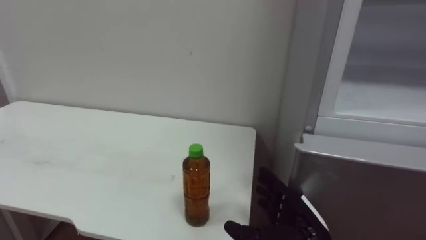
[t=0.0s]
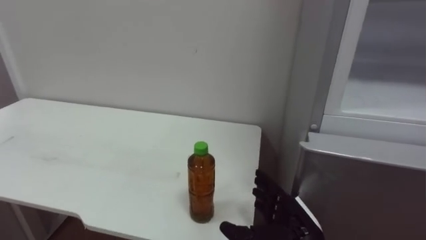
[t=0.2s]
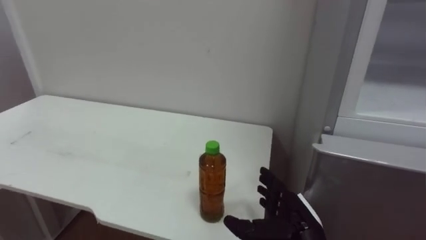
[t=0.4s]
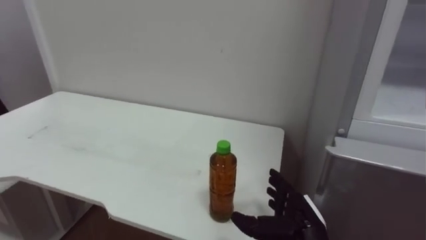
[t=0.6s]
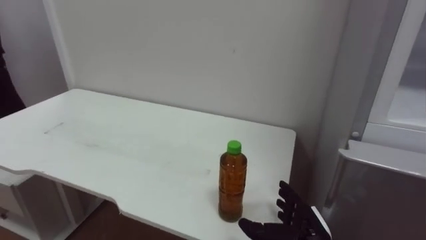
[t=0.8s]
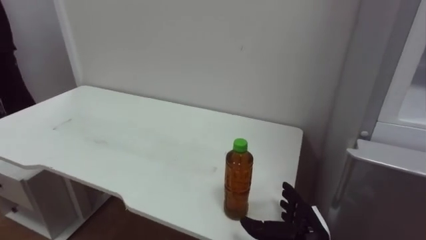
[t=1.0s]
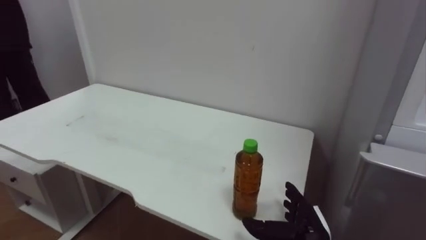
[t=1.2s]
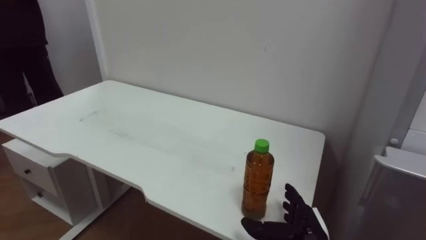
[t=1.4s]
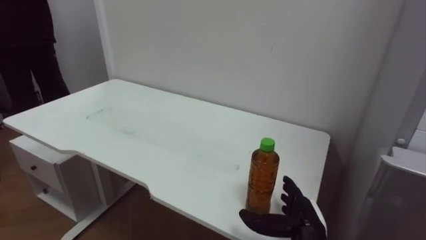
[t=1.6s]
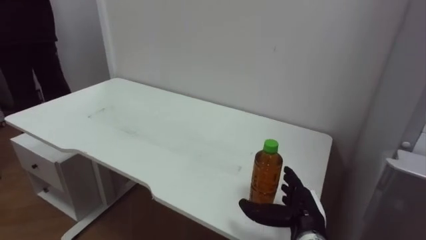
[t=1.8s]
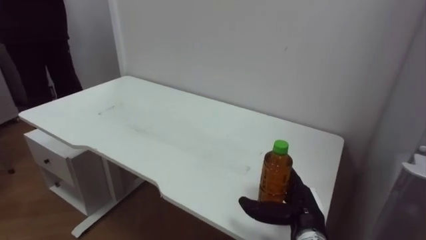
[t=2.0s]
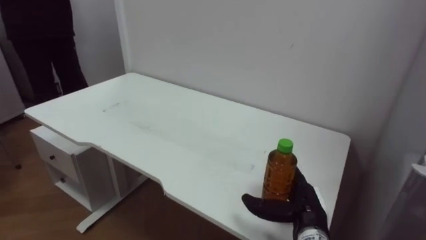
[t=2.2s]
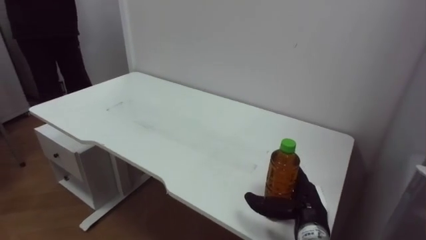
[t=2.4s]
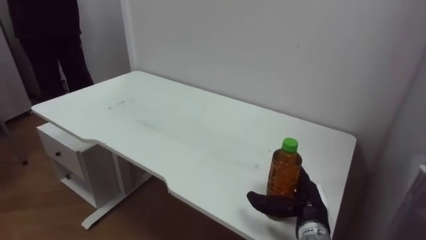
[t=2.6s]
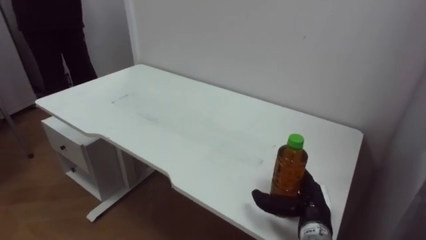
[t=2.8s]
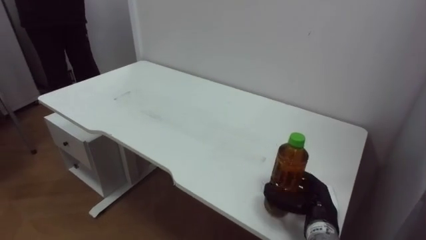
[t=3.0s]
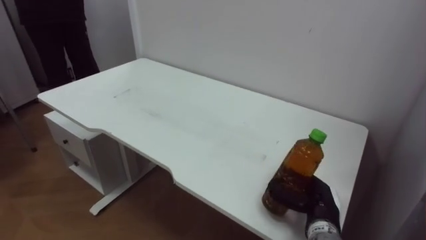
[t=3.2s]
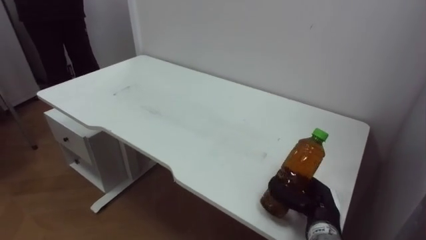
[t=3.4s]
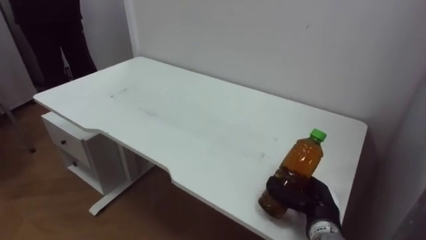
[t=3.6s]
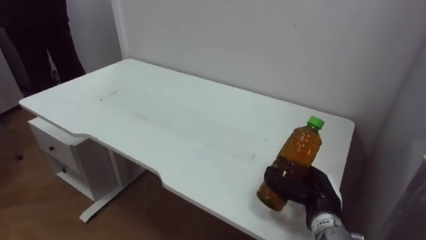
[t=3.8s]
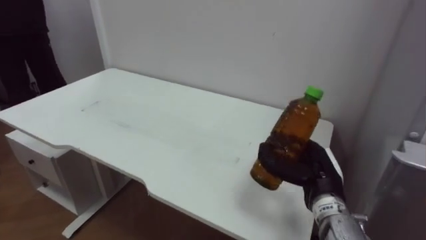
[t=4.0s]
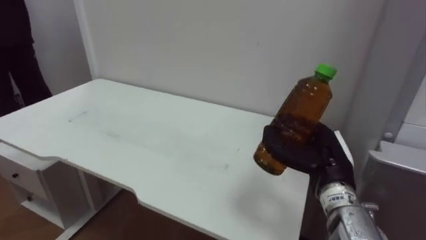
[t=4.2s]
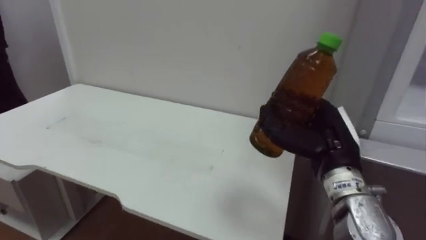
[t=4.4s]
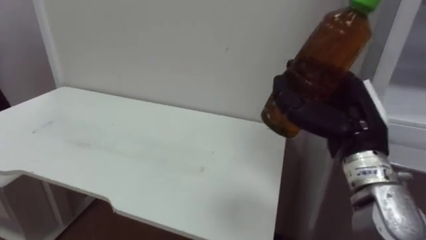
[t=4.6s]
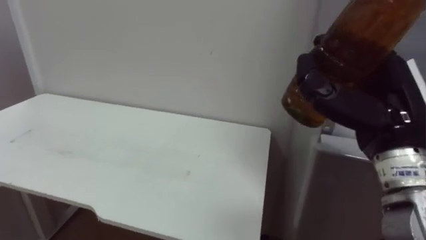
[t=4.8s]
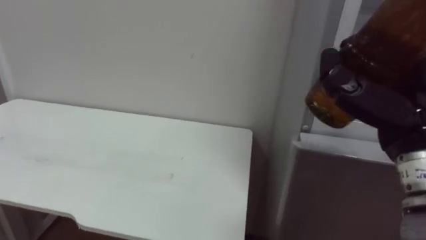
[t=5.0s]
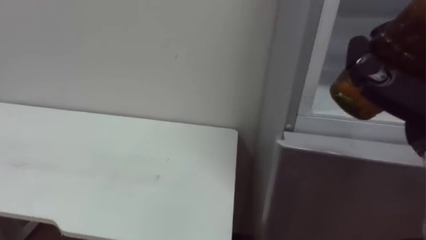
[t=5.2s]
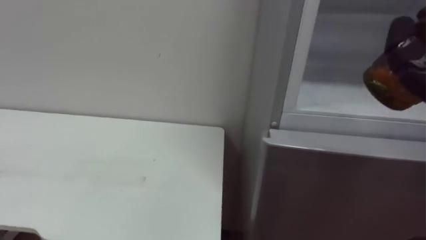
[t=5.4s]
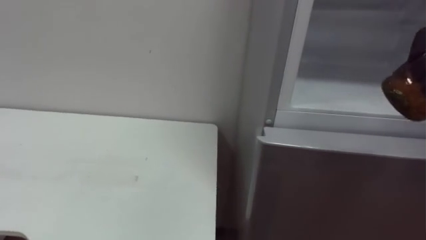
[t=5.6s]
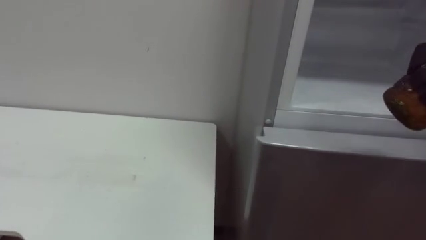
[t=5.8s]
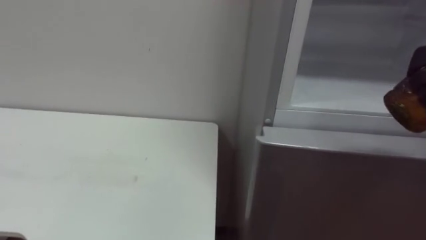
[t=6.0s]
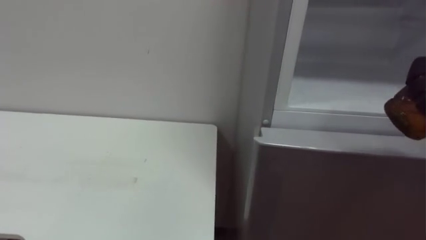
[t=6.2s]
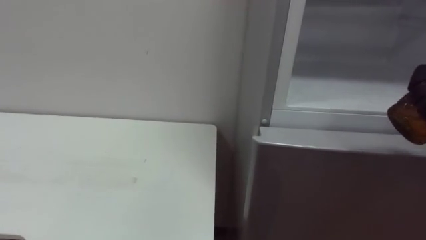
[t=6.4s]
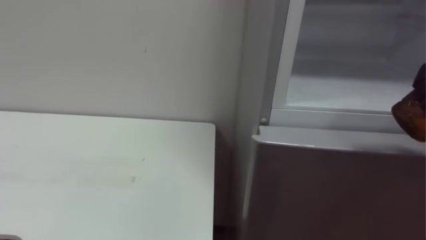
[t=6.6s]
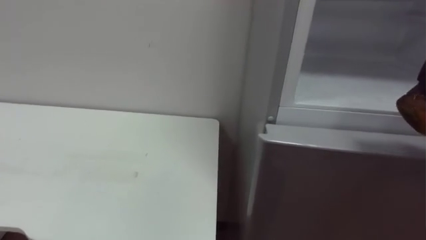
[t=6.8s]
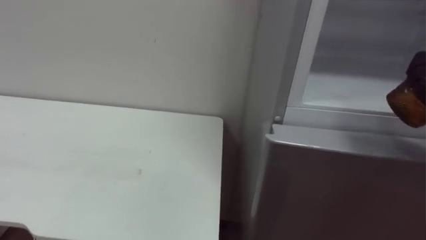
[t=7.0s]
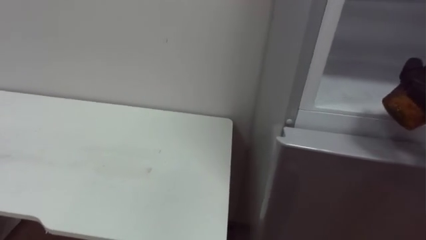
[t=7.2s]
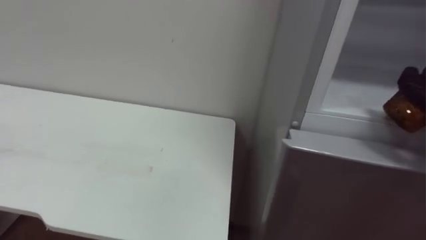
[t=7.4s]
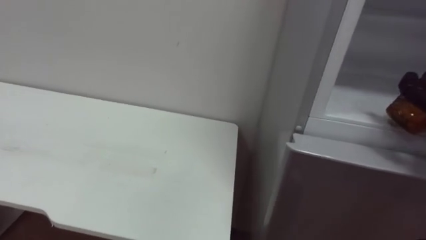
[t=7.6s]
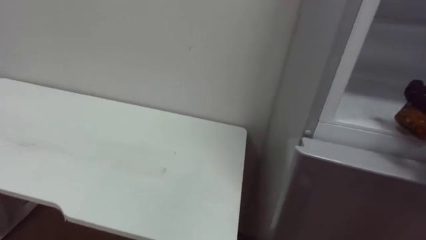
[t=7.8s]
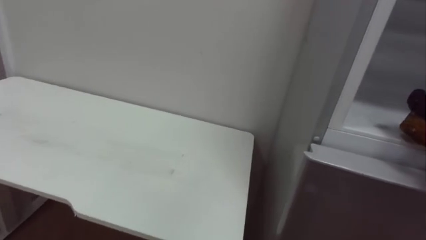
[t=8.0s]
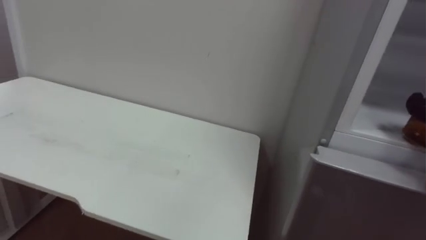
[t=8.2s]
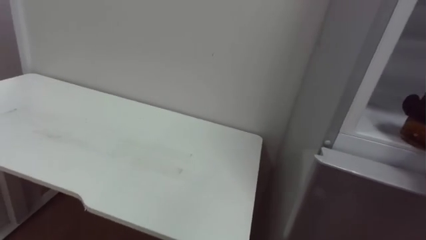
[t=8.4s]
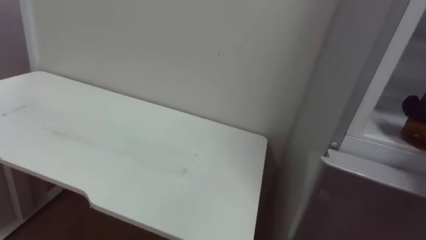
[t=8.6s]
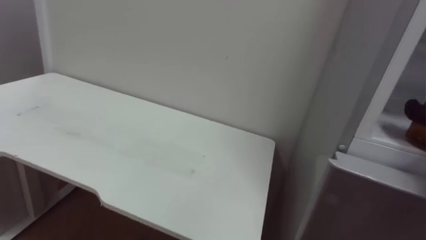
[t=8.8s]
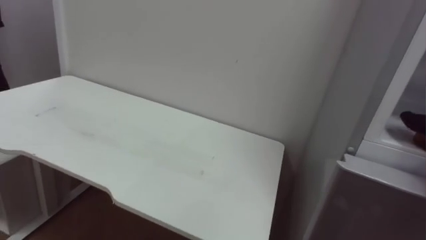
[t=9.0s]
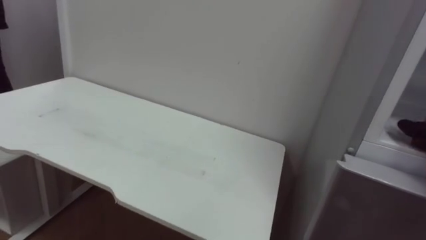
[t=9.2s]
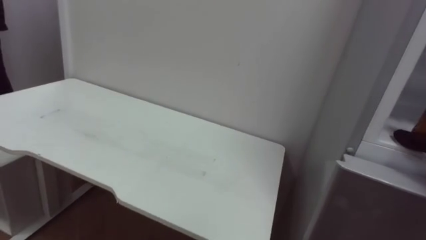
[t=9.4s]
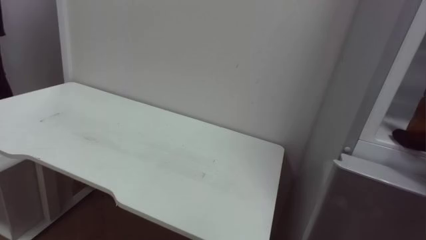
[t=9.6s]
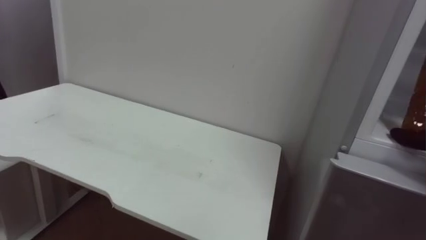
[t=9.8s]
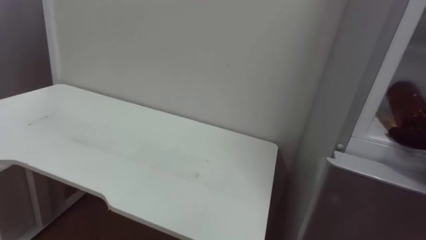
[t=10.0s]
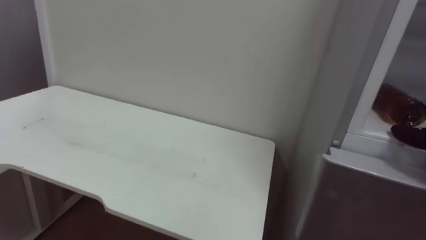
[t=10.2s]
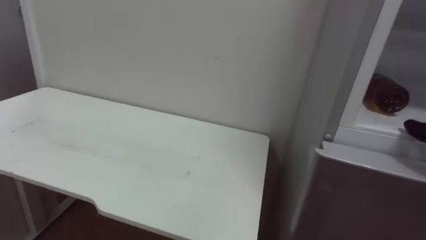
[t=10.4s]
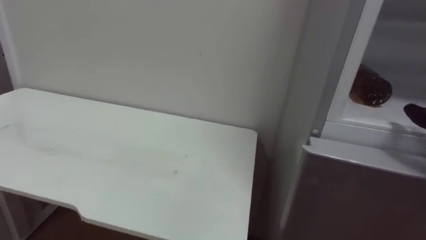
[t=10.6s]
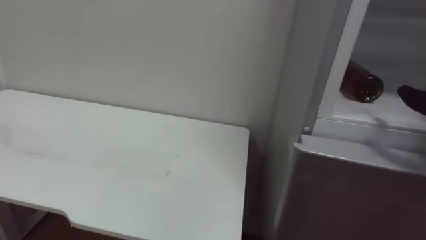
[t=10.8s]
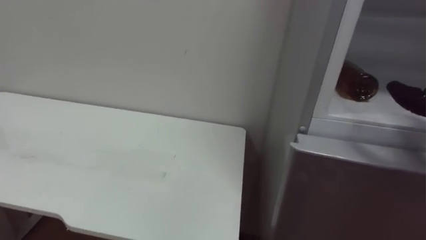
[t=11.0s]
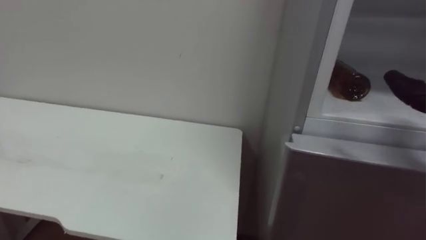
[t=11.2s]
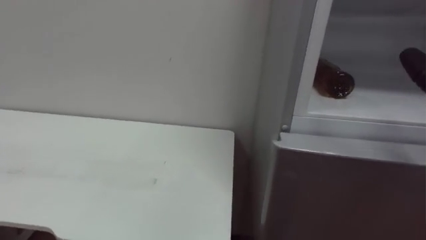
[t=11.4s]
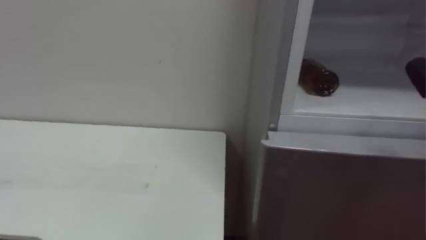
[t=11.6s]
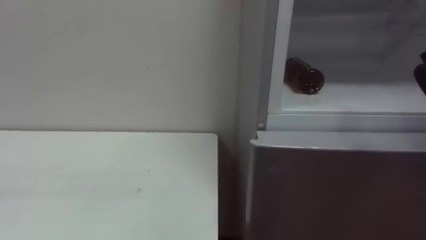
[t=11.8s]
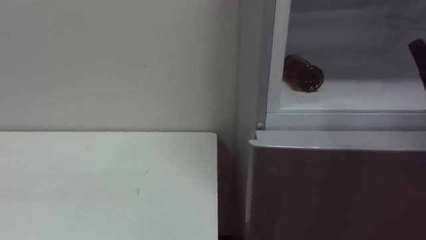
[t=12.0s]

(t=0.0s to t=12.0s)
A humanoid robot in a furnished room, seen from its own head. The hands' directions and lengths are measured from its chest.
Task of the whole recording: Open the upper refrigerator door, put the drink from the table into the refrigerator, and then close the refrigerator door.
t=0.0s - t=1.6s: The right hand moves downward, about 5 cm.
t=3.0s - t=4.4s: The right hand shifts some 15 cm upward.

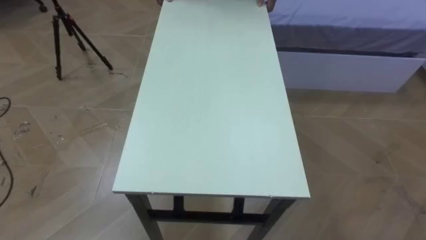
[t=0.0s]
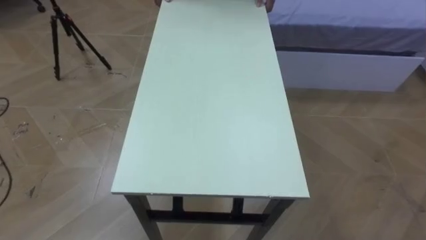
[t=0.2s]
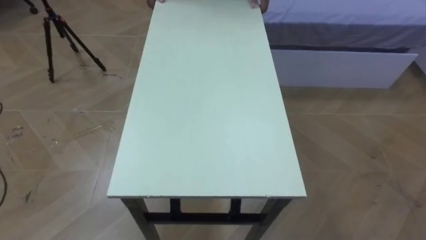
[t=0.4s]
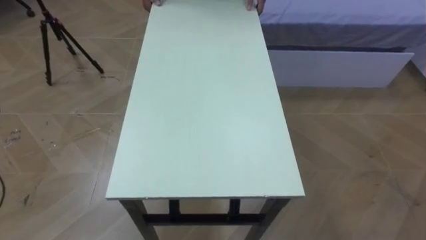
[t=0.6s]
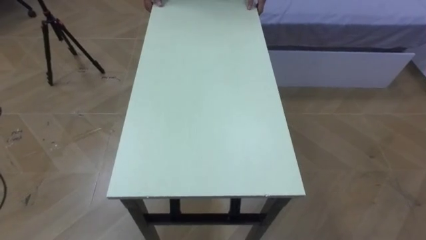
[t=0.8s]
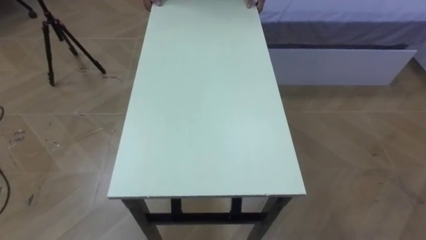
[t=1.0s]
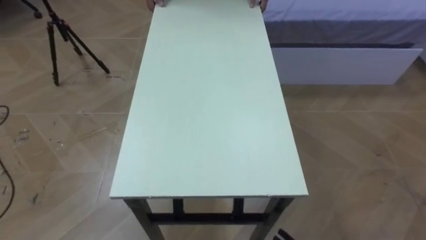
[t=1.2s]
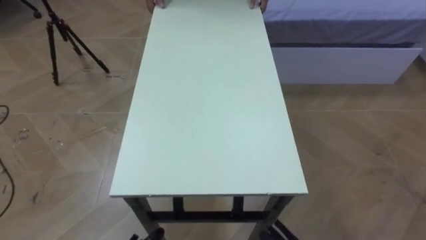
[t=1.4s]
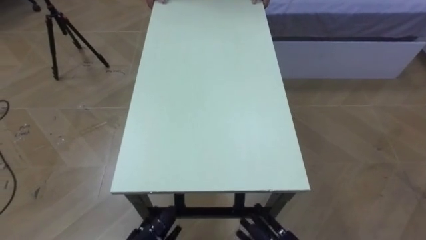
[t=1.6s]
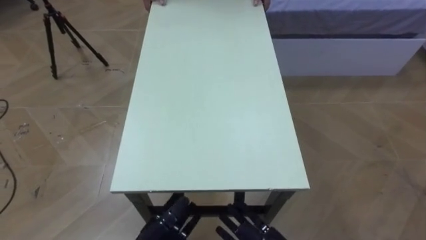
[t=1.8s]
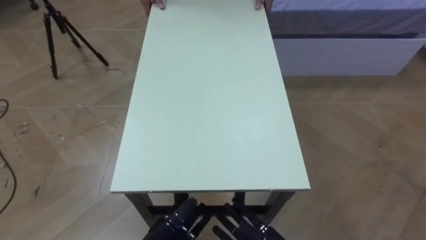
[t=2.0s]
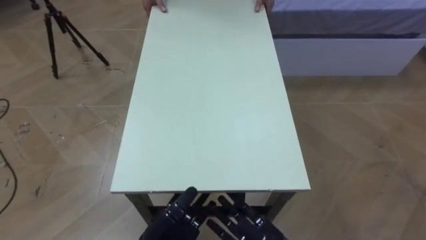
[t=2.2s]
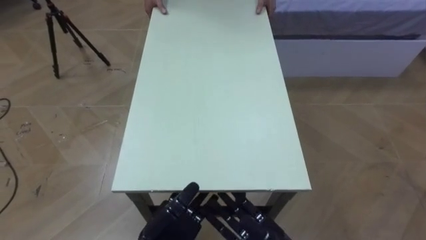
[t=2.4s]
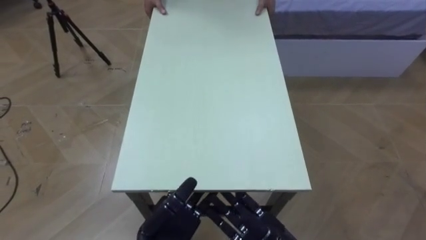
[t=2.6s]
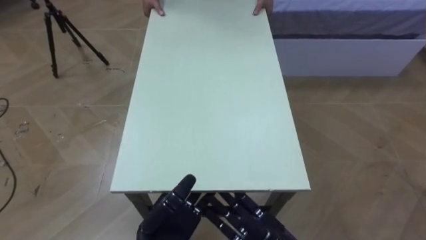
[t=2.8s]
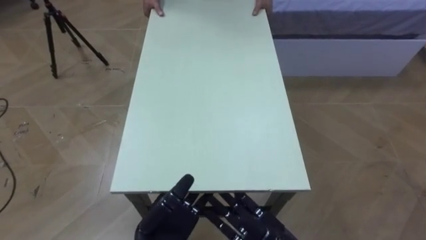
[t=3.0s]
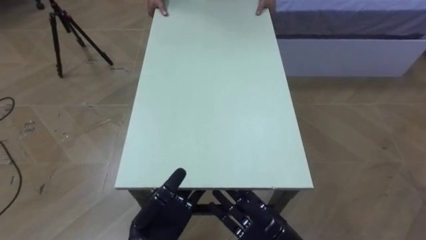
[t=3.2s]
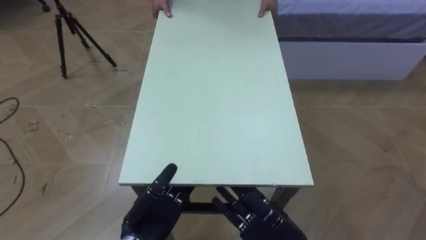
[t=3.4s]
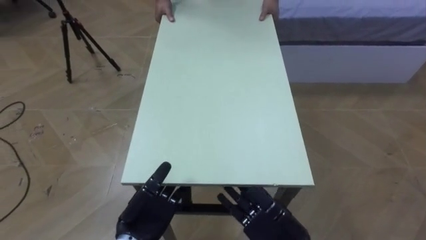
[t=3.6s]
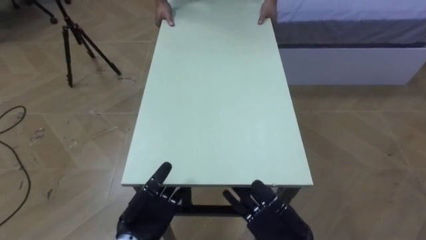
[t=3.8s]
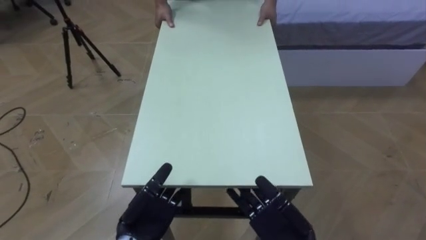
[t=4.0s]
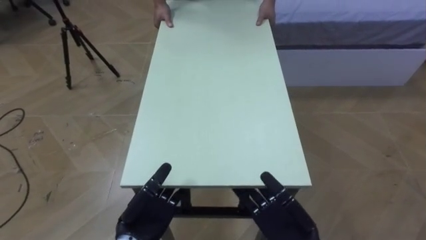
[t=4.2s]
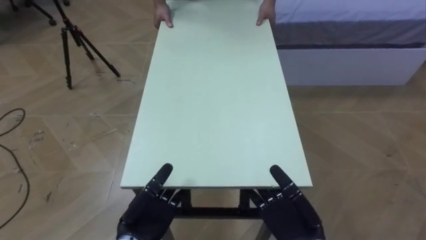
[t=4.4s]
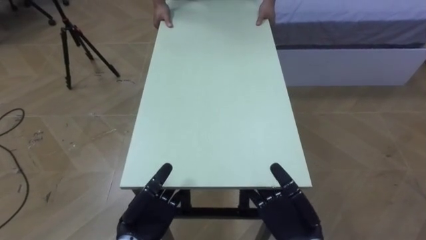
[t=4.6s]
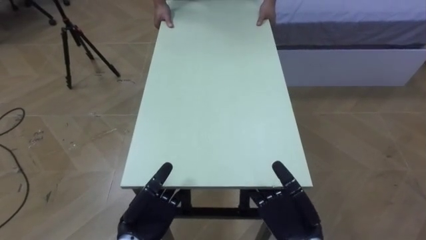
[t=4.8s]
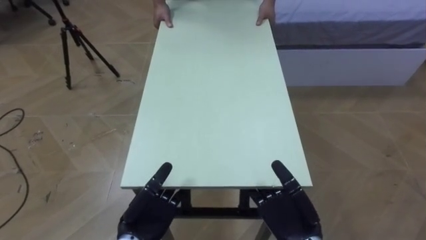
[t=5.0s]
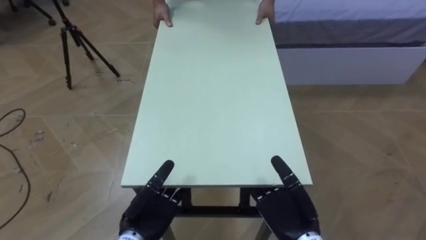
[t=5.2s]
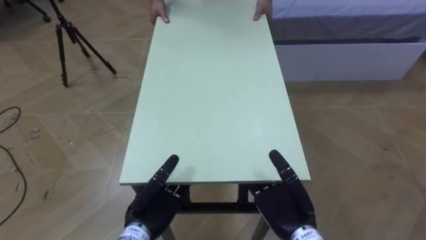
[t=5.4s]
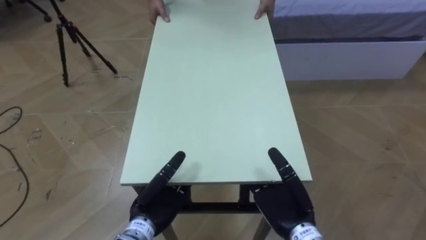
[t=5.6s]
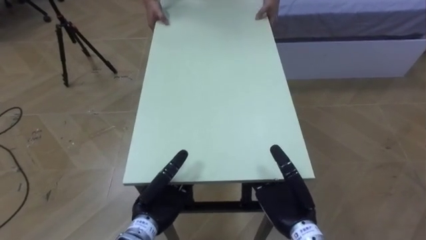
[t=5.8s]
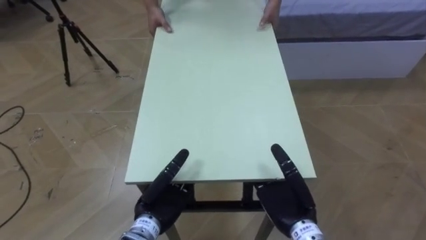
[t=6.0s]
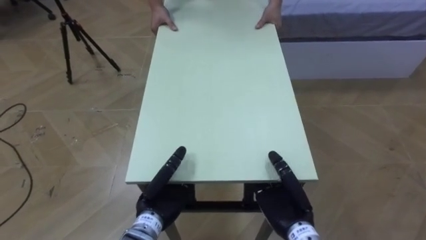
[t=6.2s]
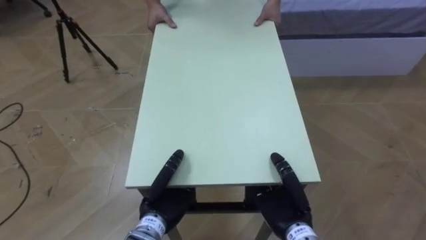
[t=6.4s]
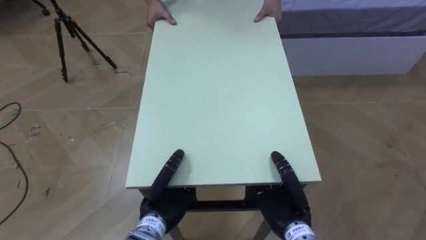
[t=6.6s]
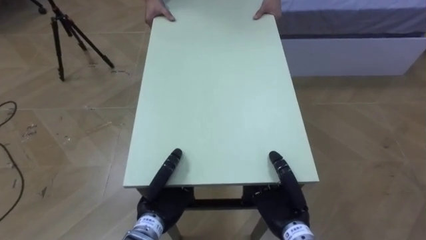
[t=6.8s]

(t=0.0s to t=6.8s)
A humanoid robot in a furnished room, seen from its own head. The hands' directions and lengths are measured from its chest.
Task of the whole recording: Move the table to the back left with someone.
t=2.8s - t=4.0s: The left hand moves some 5 cm.
t=4.0s - t=5.4s: The hands move only a little.
t=5.4s - t=6.8s: The left hand closes. The right hand closes.
